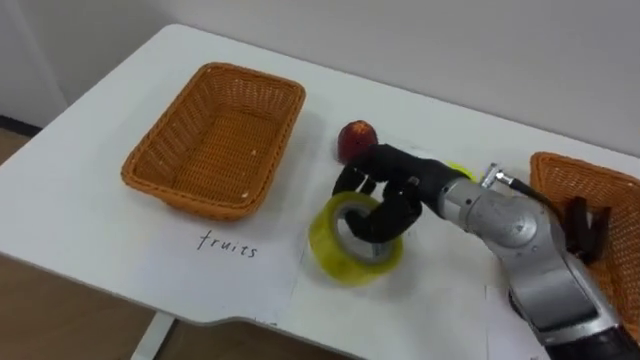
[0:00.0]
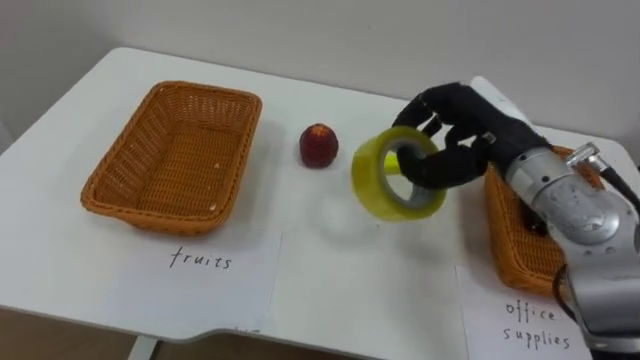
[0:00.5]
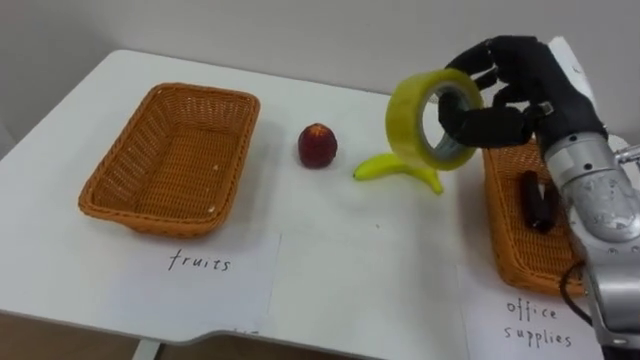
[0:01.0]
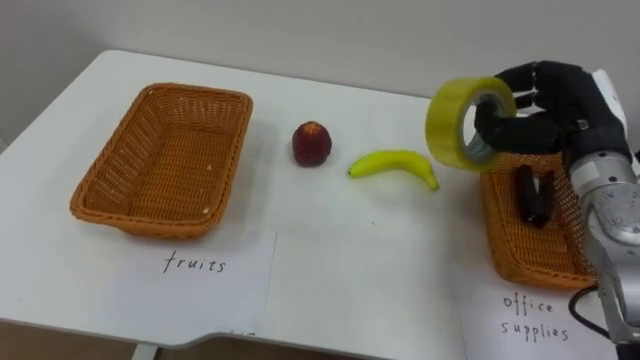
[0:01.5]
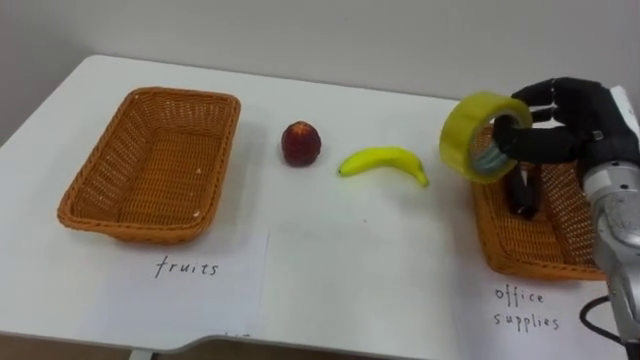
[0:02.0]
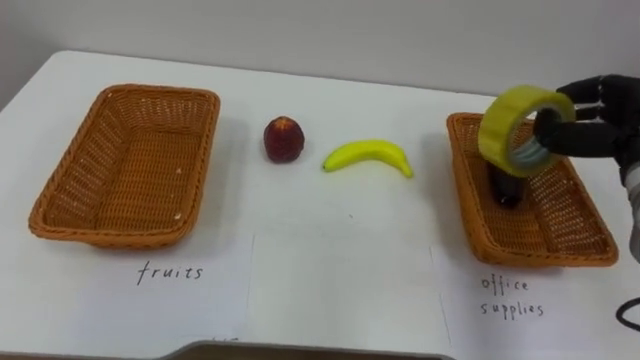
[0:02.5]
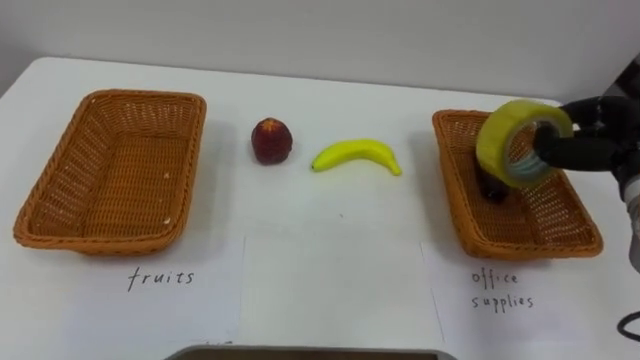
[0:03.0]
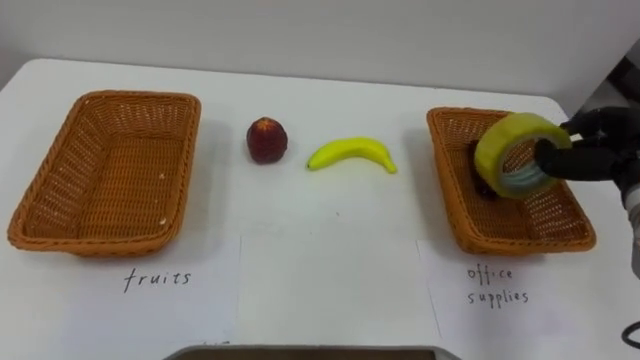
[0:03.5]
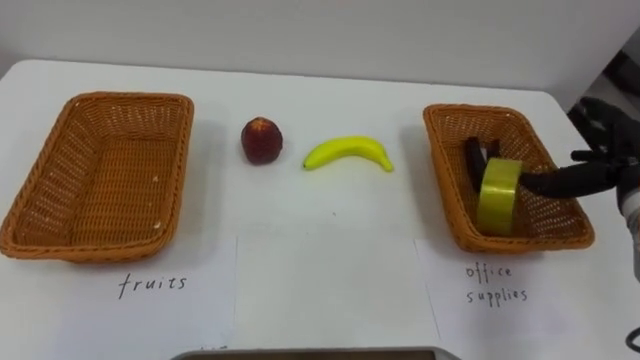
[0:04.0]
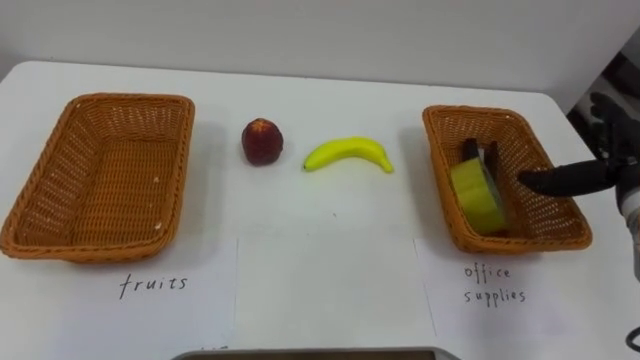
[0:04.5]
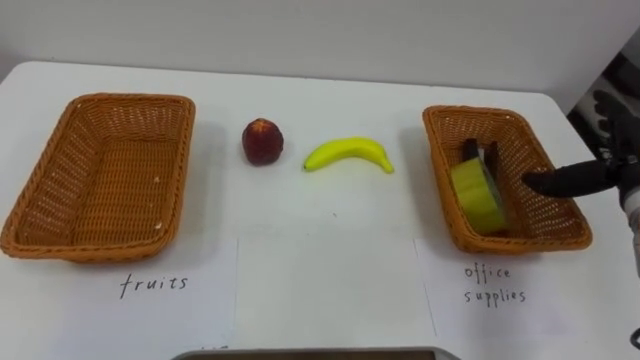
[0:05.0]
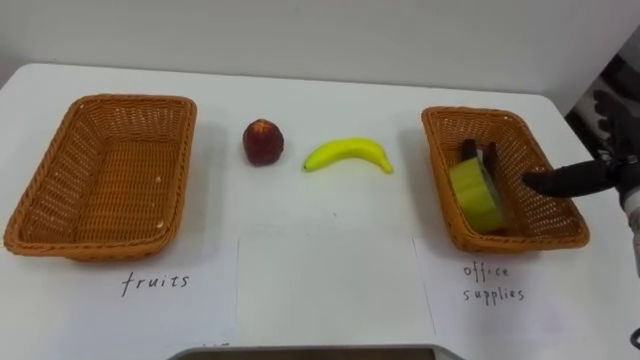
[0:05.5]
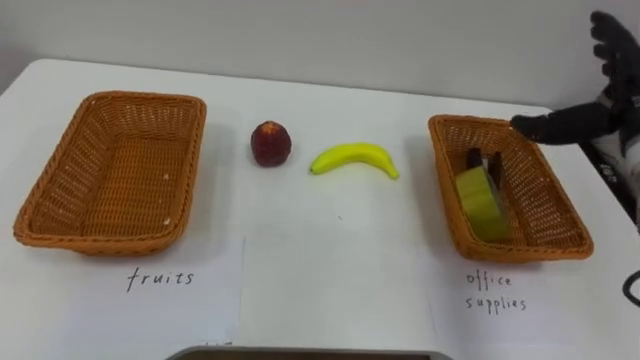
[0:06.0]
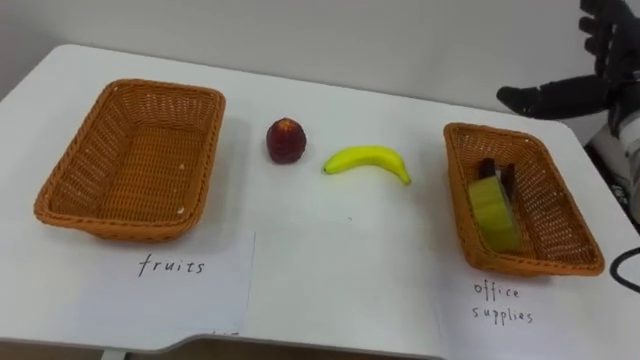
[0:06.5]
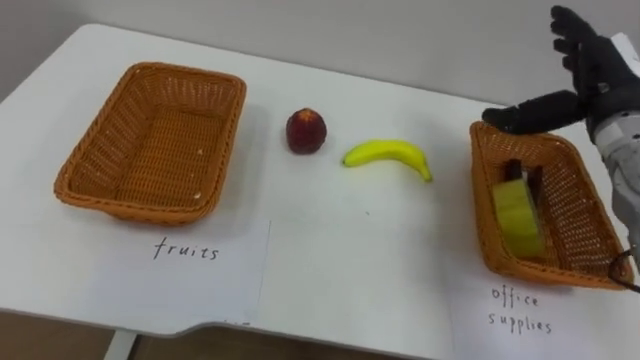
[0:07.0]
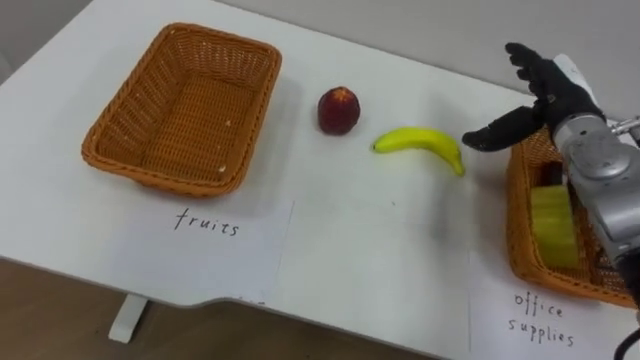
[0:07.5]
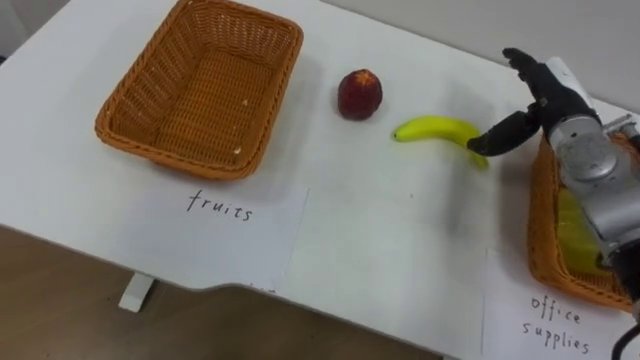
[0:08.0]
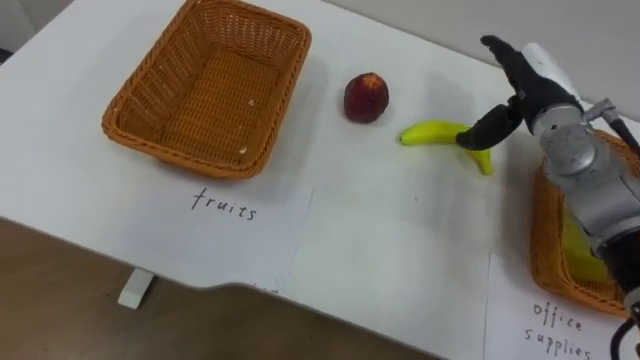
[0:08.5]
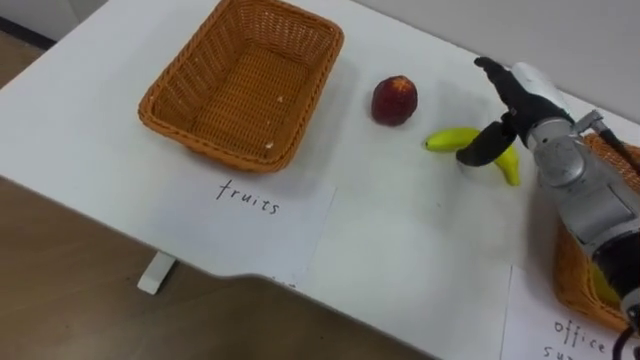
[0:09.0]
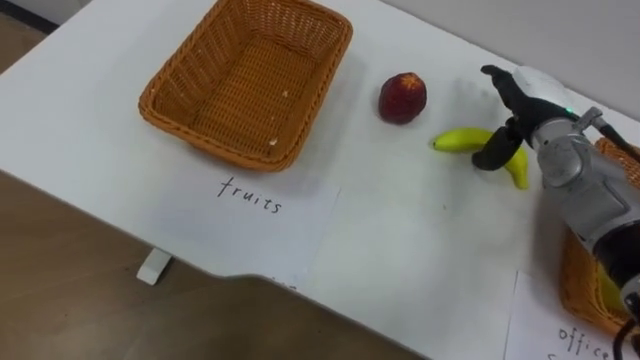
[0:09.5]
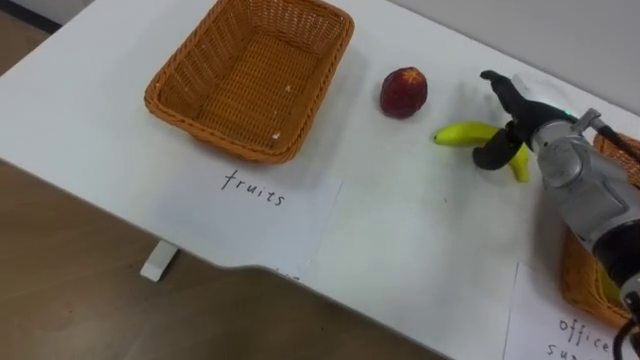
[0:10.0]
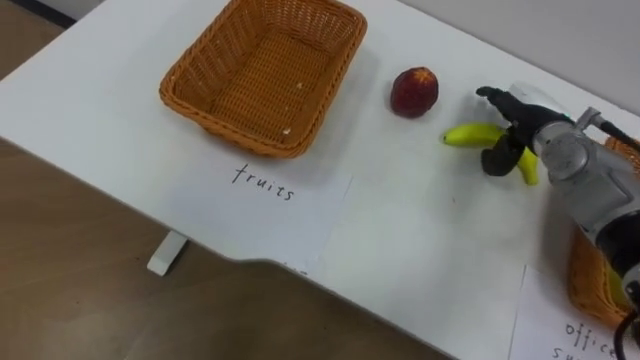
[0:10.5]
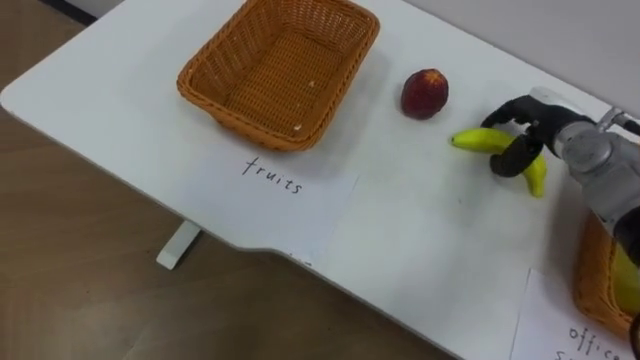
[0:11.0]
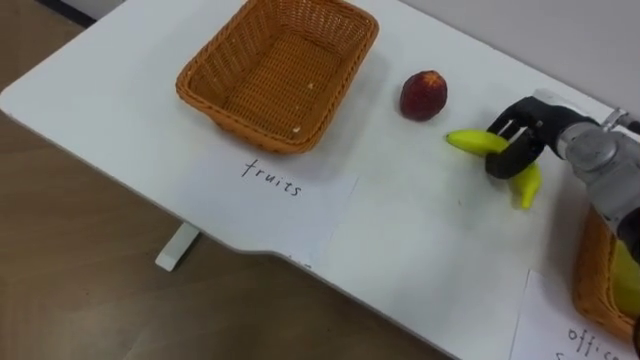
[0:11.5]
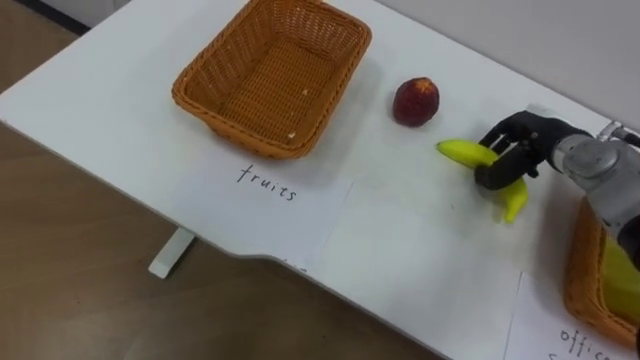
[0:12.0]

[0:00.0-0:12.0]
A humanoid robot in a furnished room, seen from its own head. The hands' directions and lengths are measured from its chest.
Task of the whole recording: Separate the items on the table and place them into the two baskets.
0:00.0 to 0:02.0: The right hand heads to the right, covering roughly 20 cm.
0:02.0 to 0:04.0: The right hand is displaced to the right by approximately 5 cm, and opens its fingers.
0:04.0 to 0:06.0: The right hand travels upward by roughly 10 cm.
0:06.0 to 0:08.0: The right hand goes some 10 cm forward and downward.
0:10.0 to 0:12.0: The right hand closes.

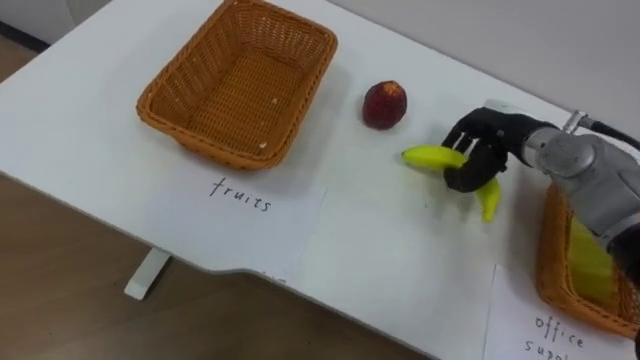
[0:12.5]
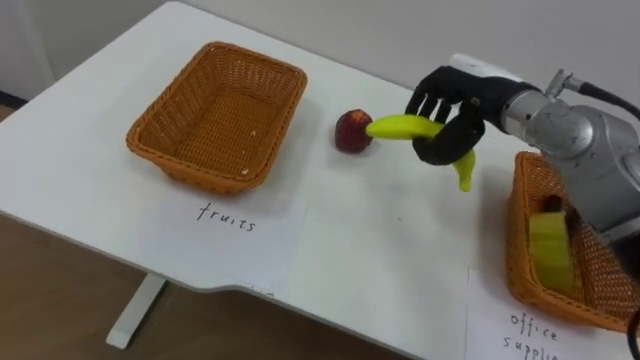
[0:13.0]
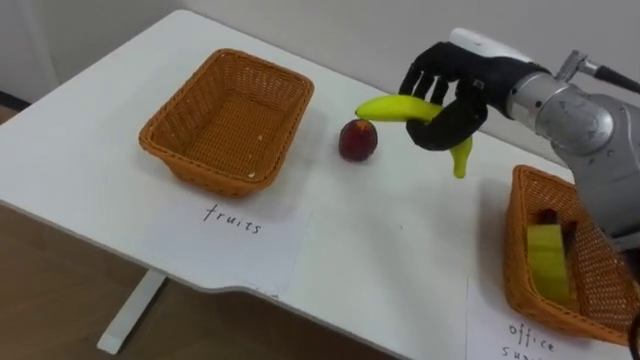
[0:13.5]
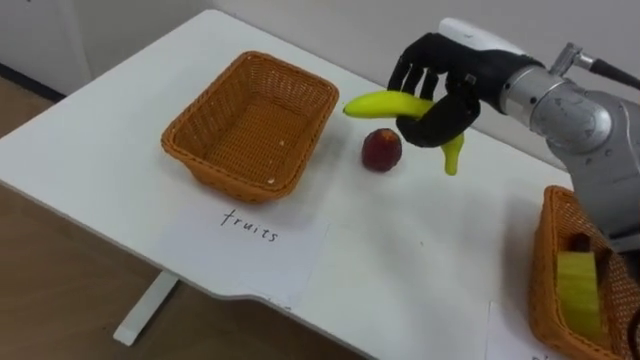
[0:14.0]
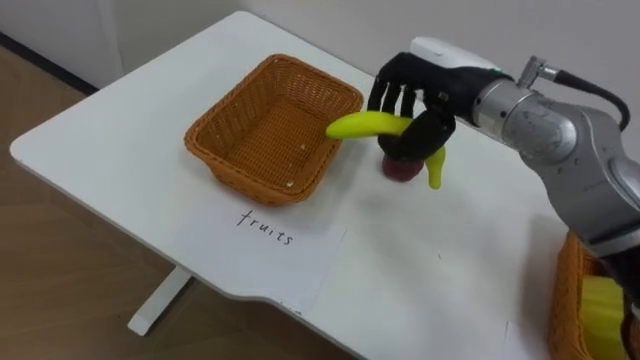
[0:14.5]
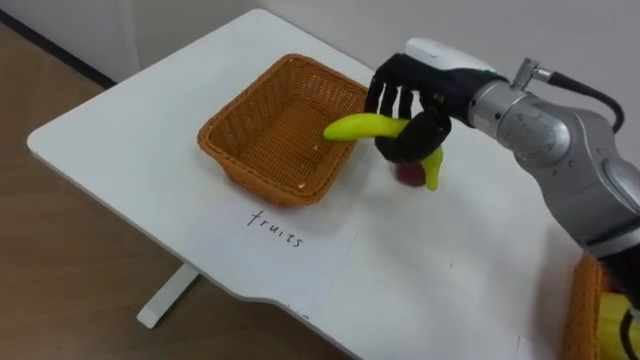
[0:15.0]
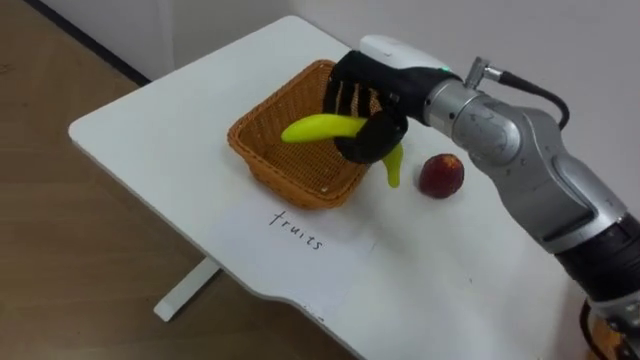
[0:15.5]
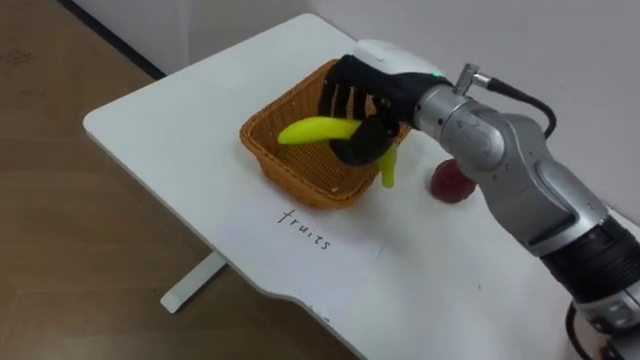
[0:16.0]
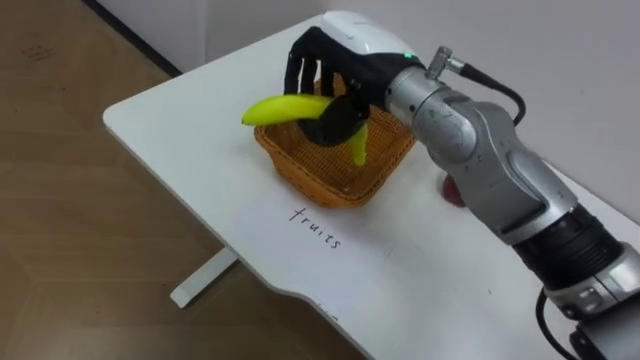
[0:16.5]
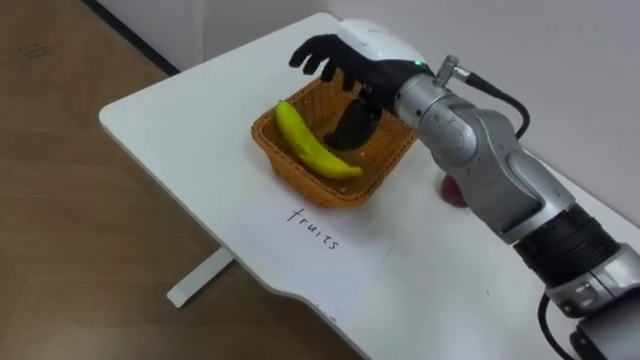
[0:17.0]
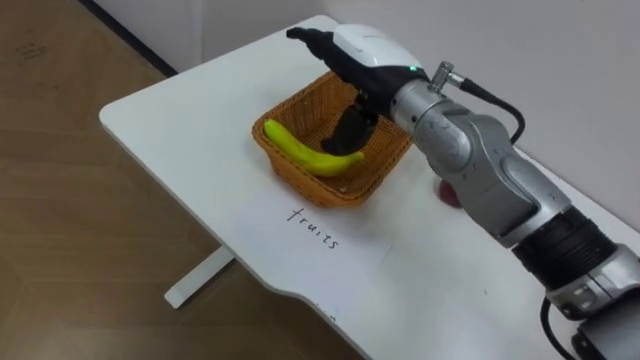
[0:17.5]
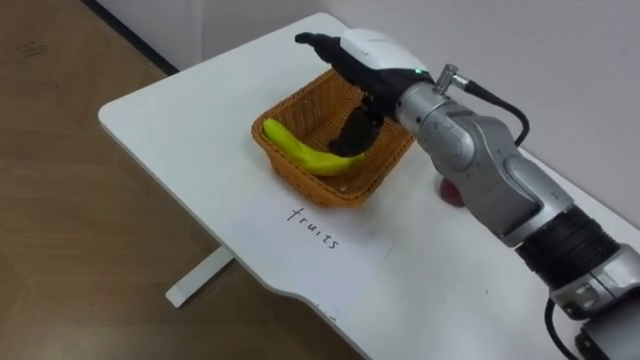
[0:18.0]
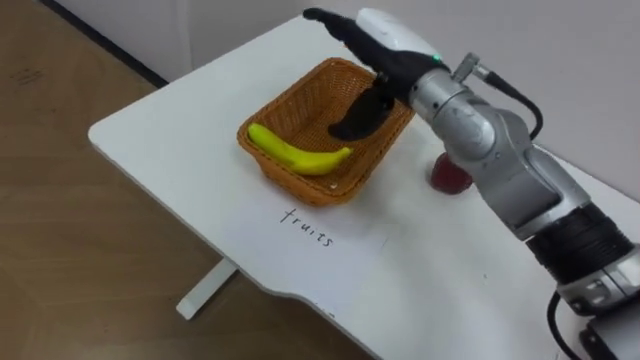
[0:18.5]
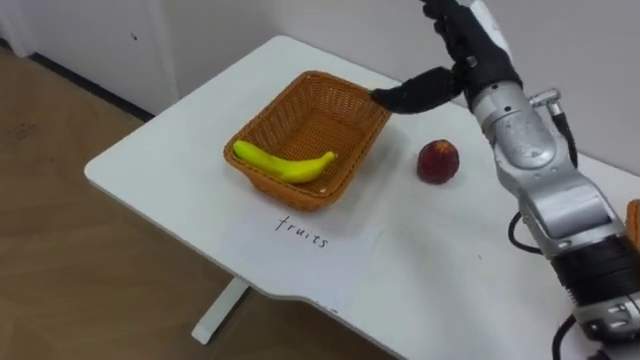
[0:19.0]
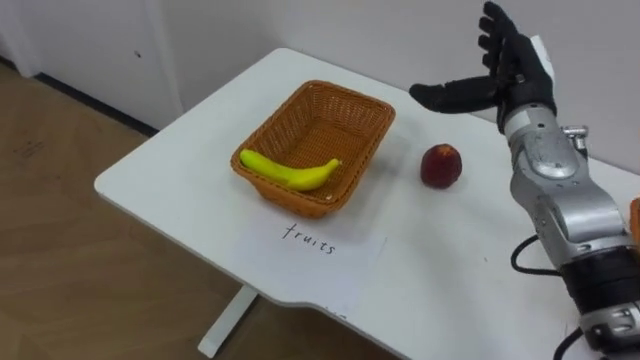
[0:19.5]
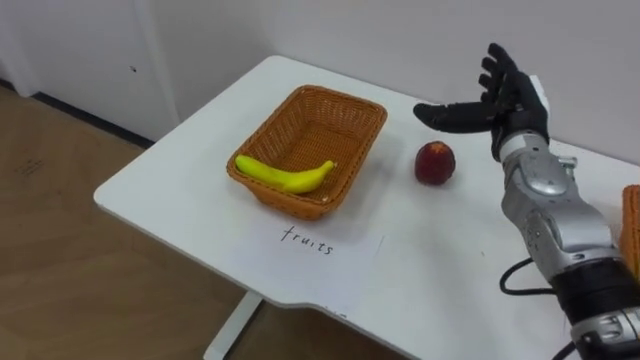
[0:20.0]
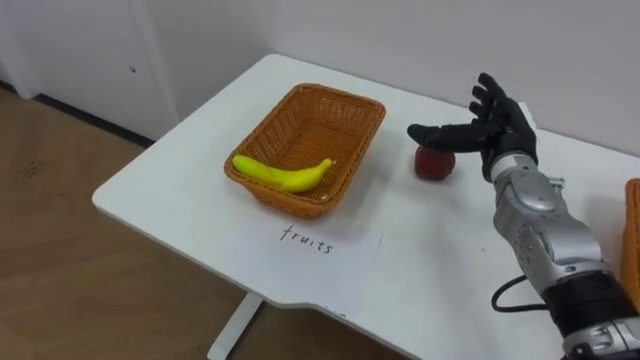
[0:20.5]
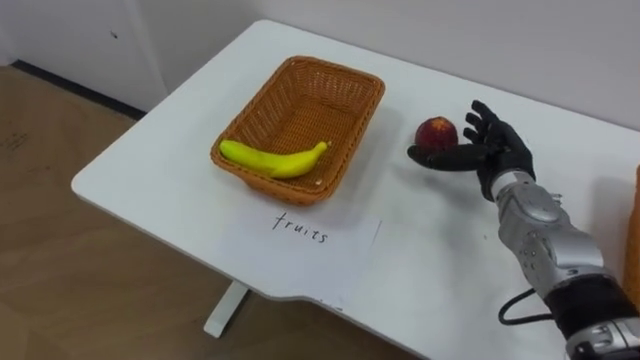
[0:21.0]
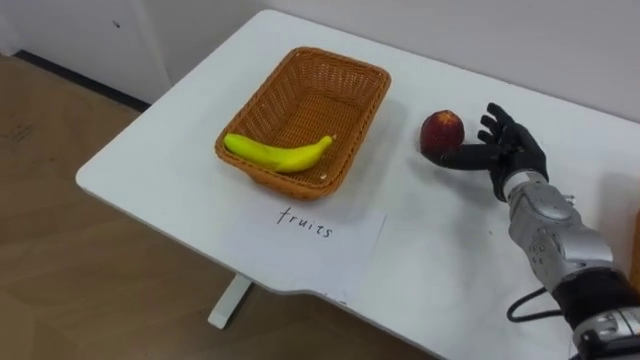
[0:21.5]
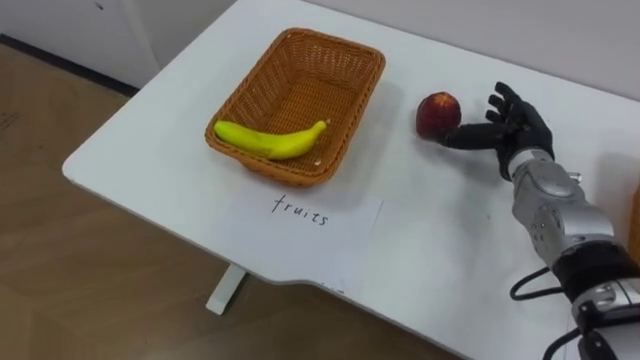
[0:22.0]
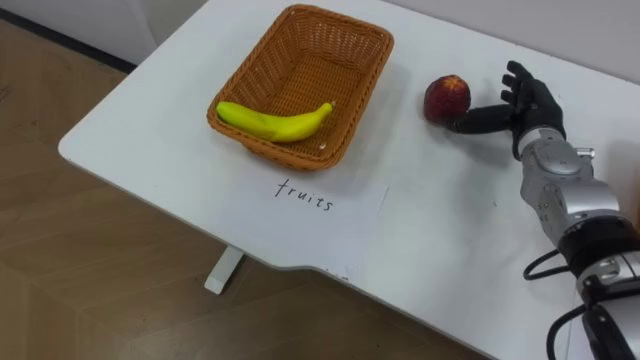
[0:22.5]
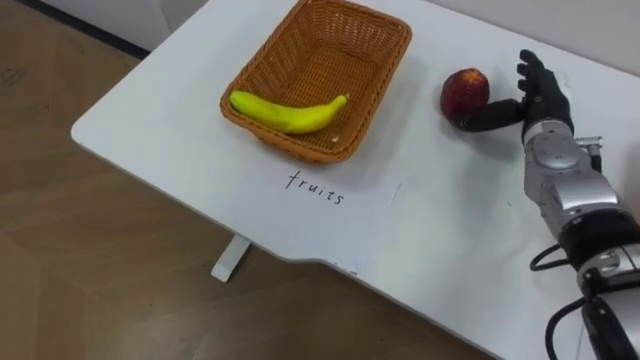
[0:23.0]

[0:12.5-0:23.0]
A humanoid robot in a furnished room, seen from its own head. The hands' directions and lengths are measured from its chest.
Task of the whole recording: Separate the items on the table and place them into the two baskets.
0:12.5 to 0:14.5: The right hand shifts some 15 cm upward and to the left.
0:14.5 to 0:16.5: The right hand goes roughly 10 cm to the left.
0:16.5 to 0:19.0: The right hand is displaced to the right by some 15 cm, and opens its fingers.
0:19.0 to 0:21.0: The right hand heads downward and to the right, covering some 15 cm.
0:21.0 to 0:23.0: The right hand is displaced upward by approximately 5 cm.
